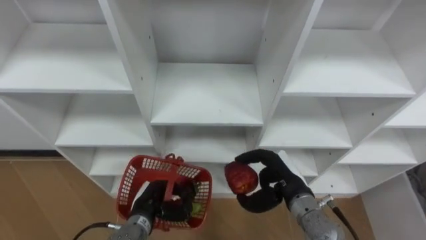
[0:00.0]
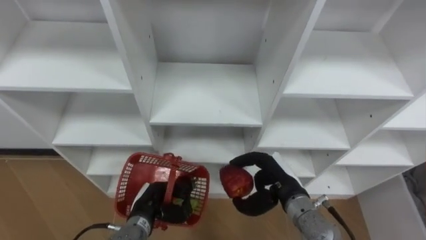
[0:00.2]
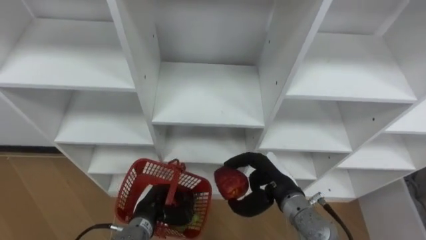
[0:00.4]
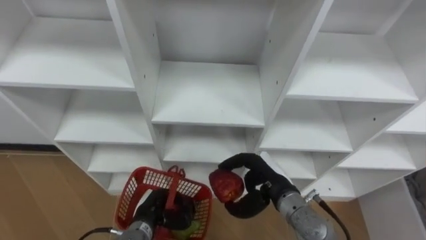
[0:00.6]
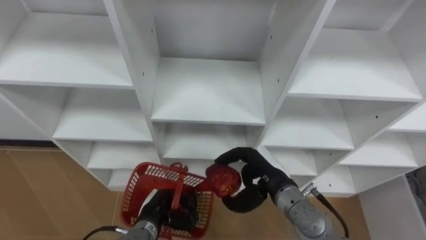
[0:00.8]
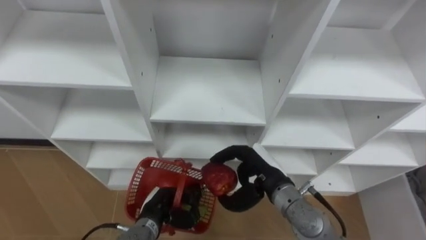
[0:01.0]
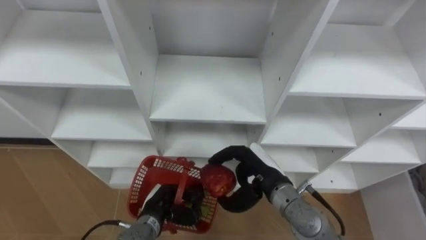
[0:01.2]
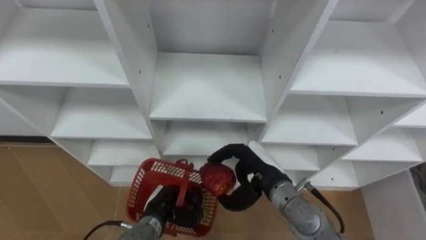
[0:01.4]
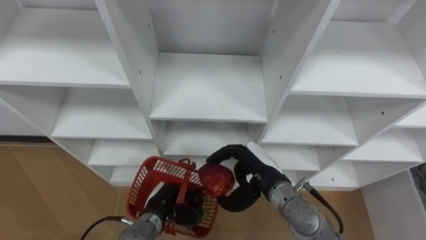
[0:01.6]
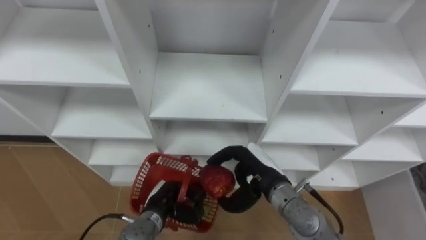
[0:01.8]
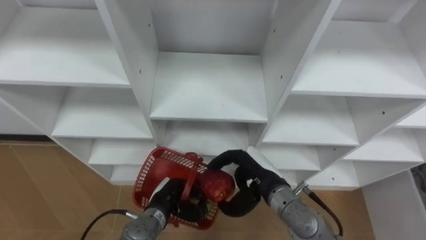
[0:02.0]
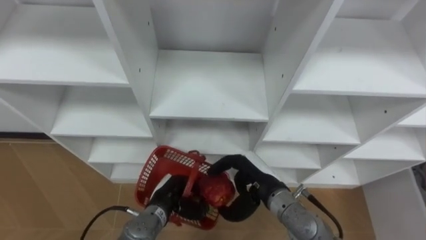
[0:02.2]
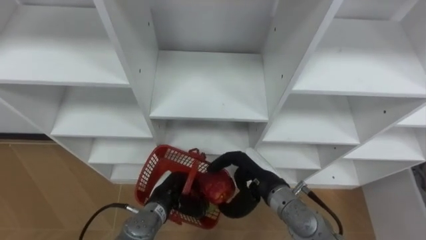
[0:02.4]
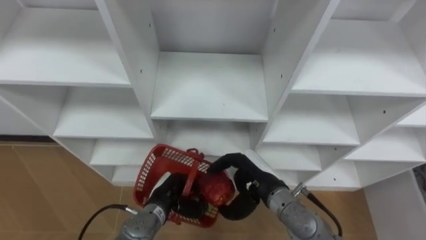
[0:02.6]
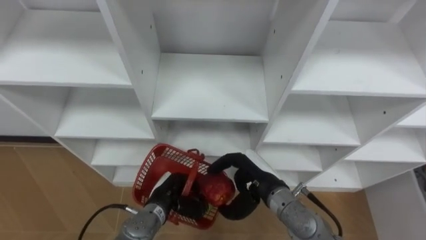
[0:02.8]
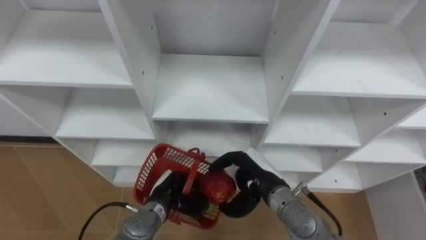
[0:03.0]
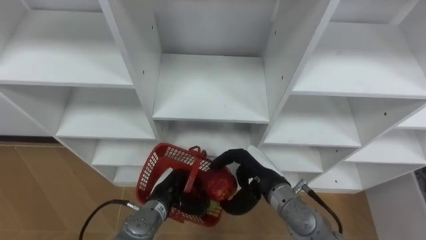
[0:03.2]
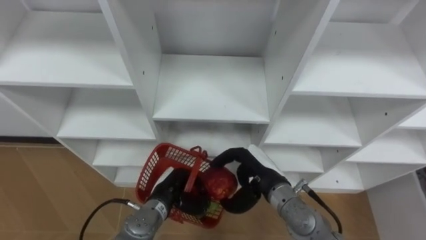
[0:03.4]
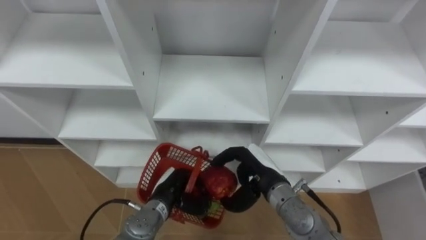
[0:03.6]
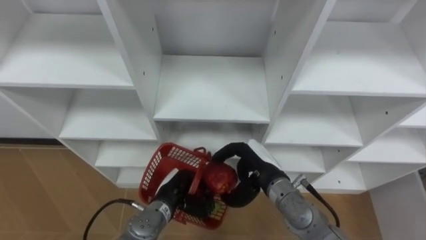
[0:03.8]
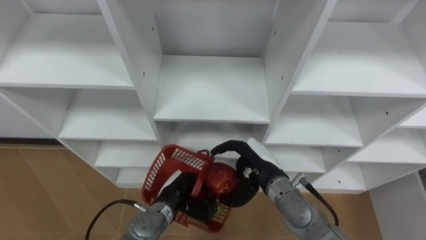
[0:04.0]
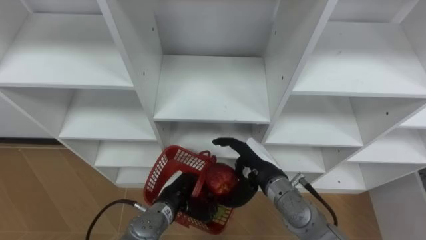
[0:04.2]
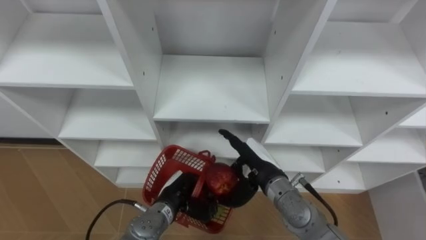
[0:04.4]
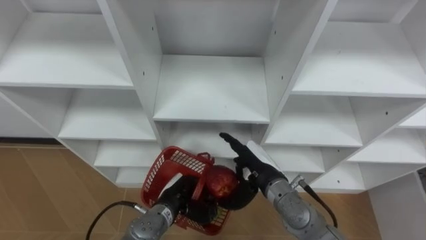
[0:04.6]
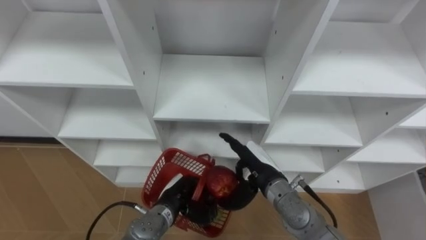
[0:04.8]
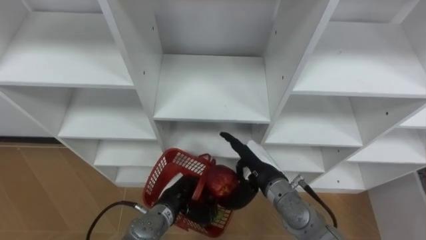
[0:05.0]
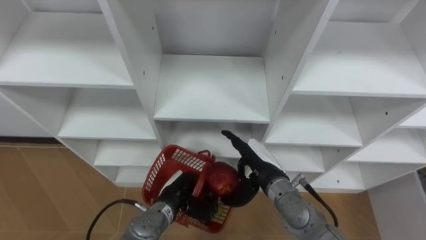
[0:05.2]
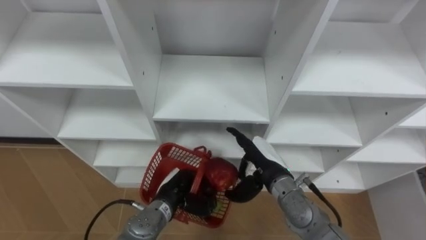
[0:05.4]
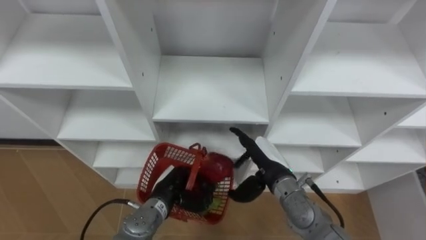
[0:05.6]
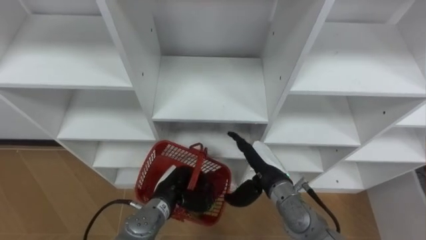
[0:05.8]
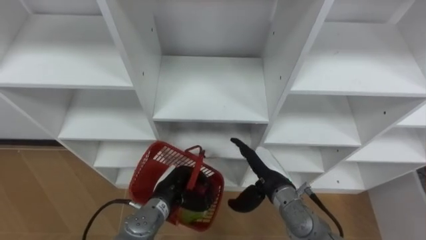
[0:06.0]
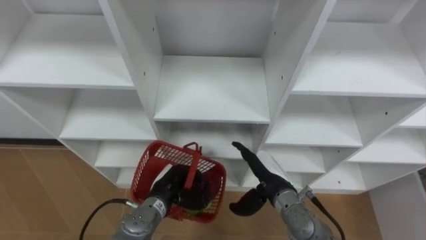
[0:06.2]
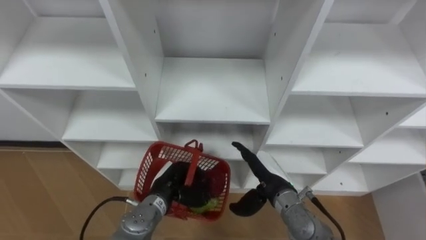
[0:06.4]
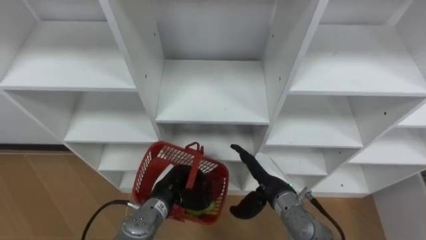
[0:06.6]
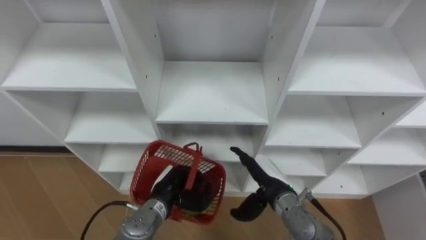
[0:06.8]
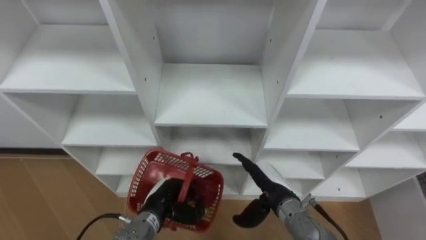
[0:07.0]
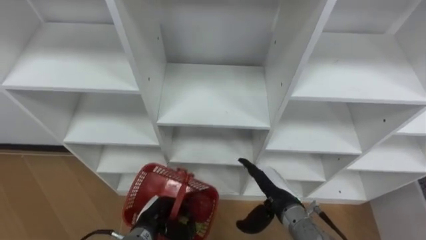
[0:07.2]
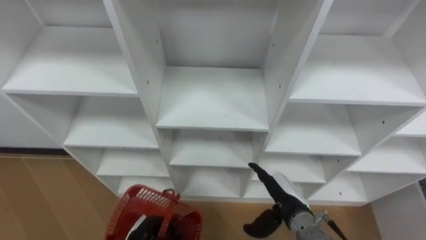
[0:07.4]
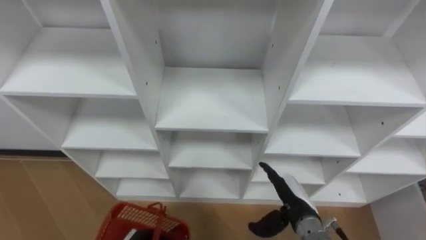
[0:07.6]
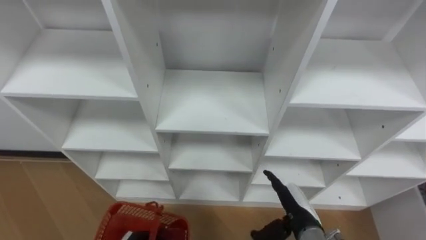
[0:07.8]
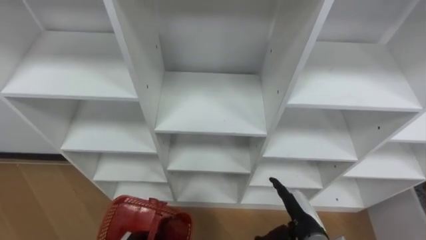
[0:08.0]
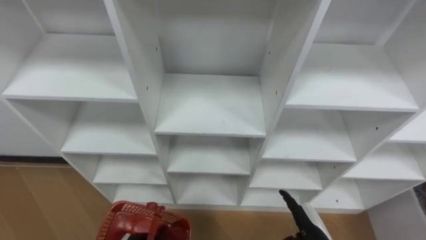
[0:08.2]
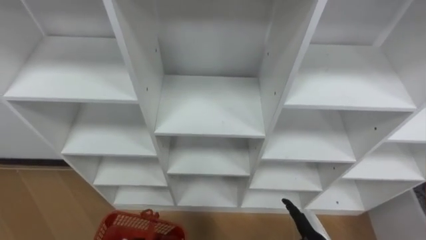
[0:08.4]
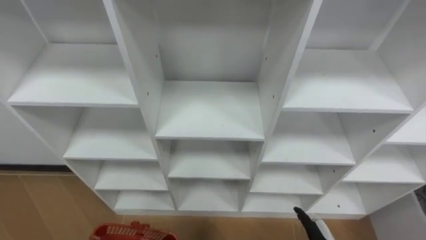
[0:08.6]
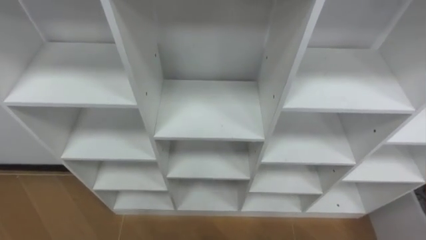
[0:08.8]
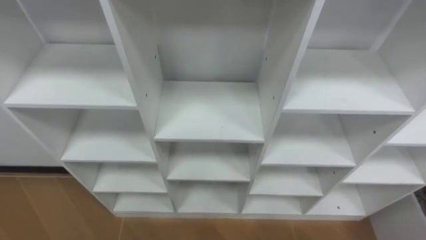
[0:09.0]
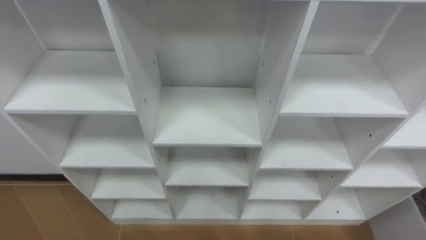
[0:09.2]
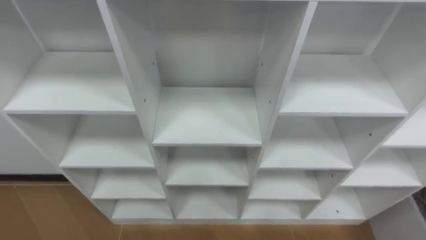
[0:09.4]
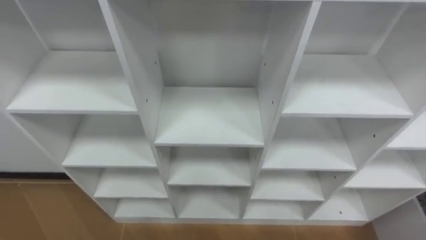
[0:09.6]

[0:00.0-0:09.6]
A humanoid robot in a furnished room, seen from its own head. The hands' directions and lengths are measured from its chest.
Task of the whole recording: Hold the basket and collect the fruits from 3 different cells of the closet into it.
0:00.0 to 0:01.6: The right hand heads to the left, covering approximately 5 cm.
0:01.6 to 0:03.2: The hands move only a little.
0:03.2 to 0:04.8: The right hand opens its fingers.
0:04.8 to 0:06.4: The hands make only small movements.
0:06.4 to 0:08.0: The right hand moves backward, to the right and downward, approximately 10 cm.

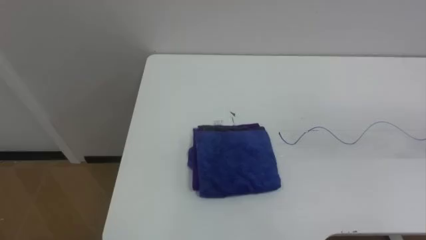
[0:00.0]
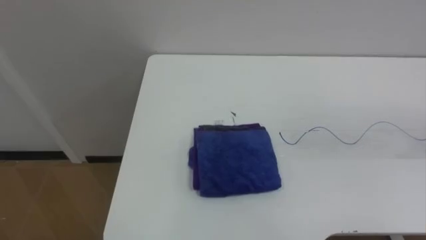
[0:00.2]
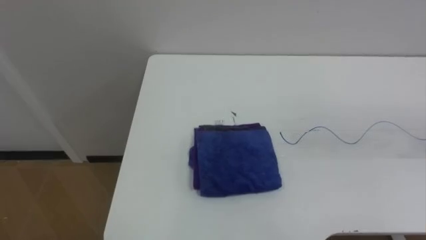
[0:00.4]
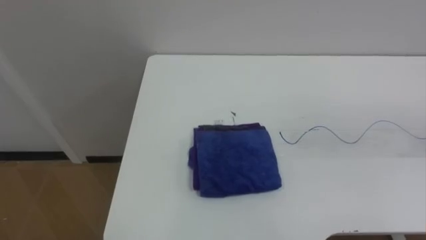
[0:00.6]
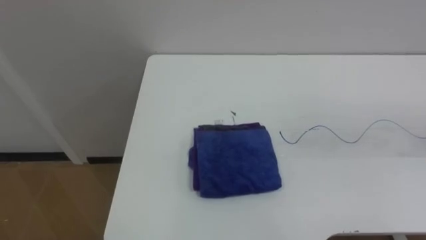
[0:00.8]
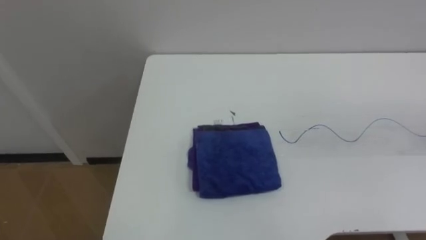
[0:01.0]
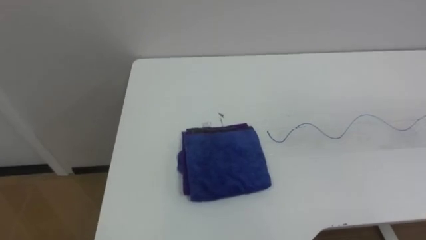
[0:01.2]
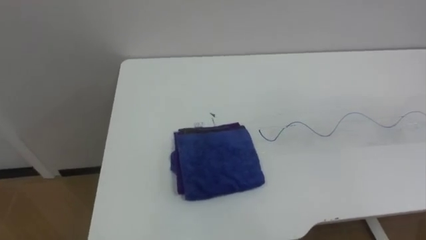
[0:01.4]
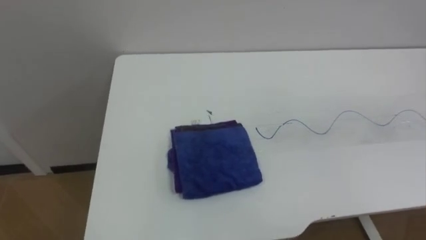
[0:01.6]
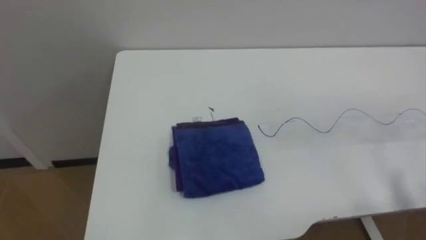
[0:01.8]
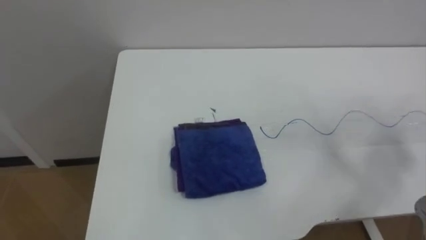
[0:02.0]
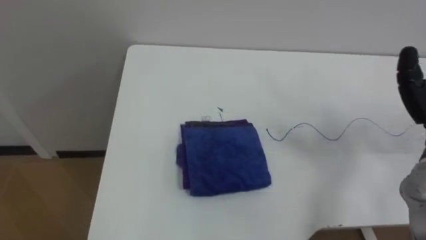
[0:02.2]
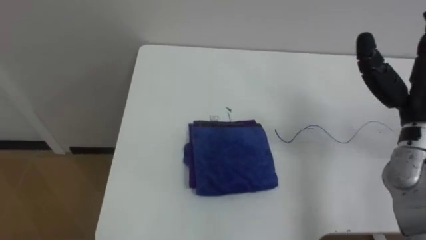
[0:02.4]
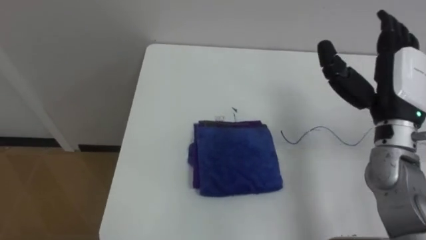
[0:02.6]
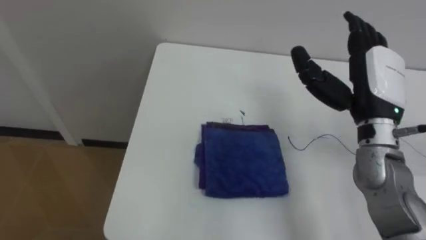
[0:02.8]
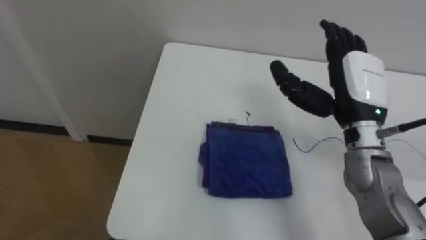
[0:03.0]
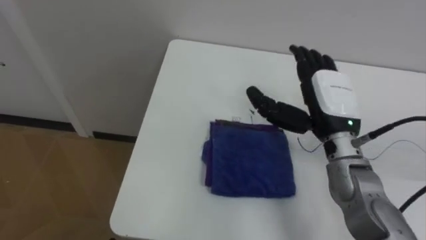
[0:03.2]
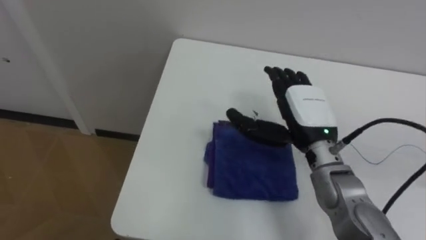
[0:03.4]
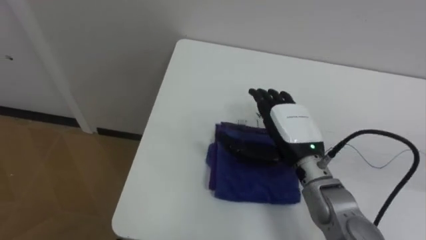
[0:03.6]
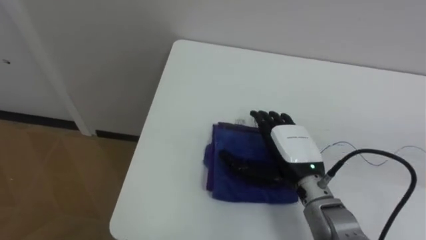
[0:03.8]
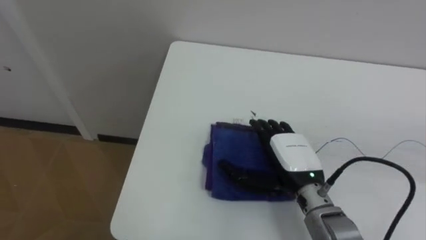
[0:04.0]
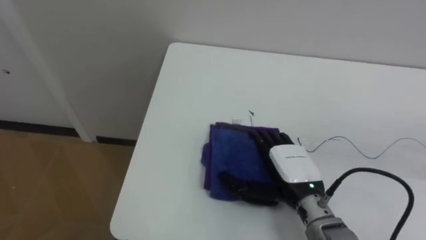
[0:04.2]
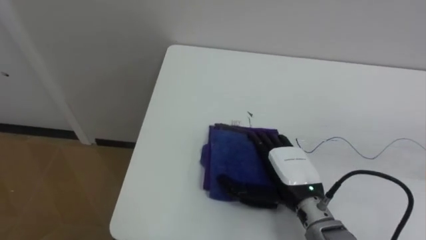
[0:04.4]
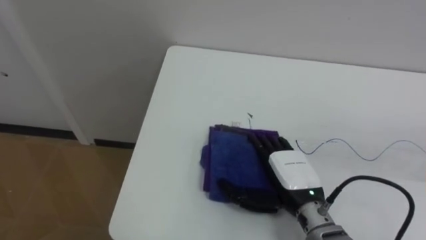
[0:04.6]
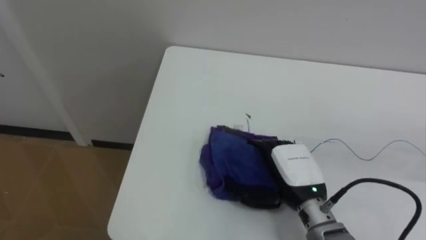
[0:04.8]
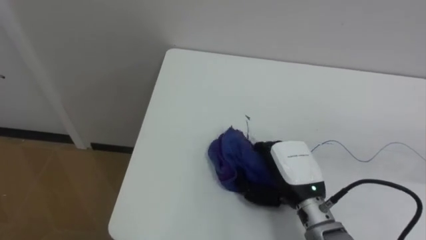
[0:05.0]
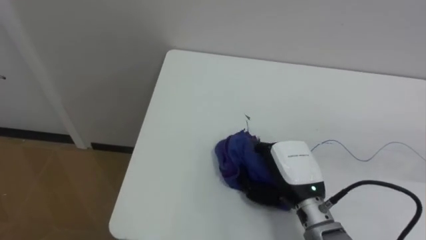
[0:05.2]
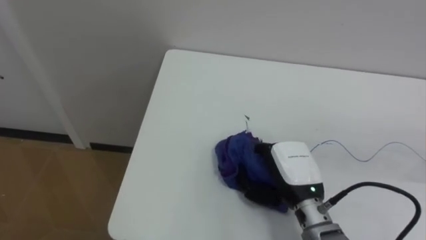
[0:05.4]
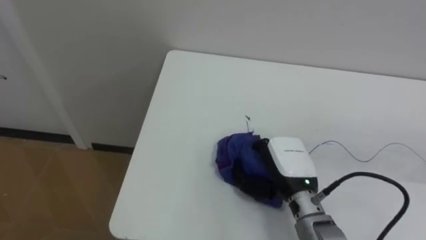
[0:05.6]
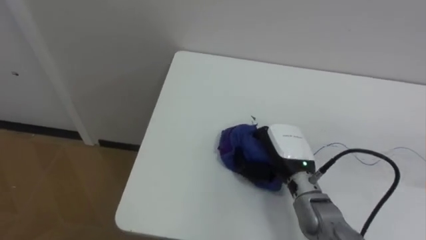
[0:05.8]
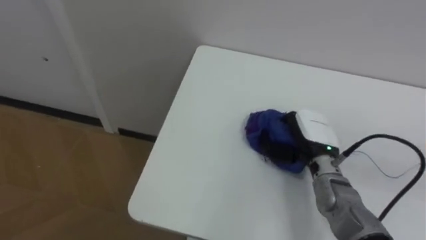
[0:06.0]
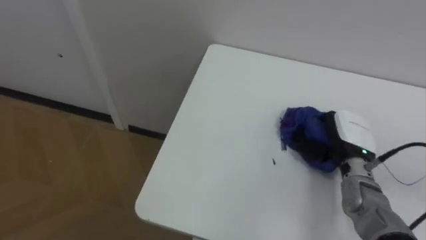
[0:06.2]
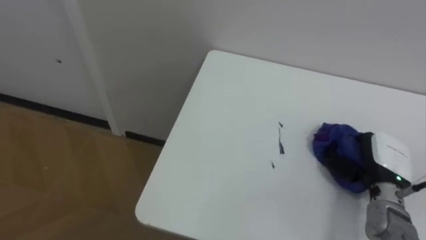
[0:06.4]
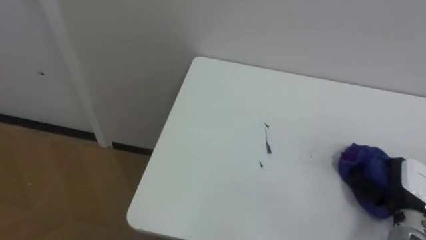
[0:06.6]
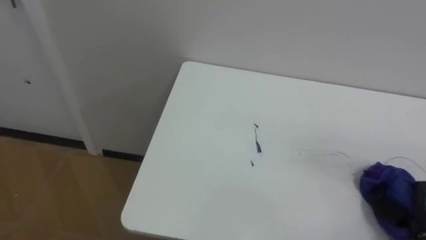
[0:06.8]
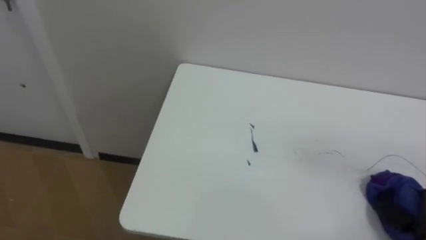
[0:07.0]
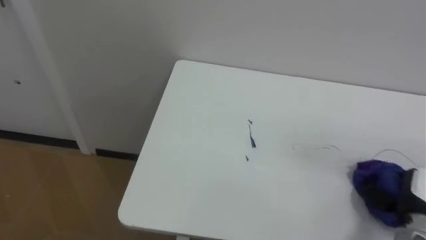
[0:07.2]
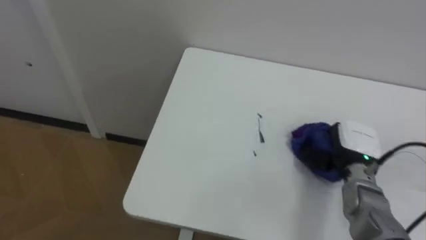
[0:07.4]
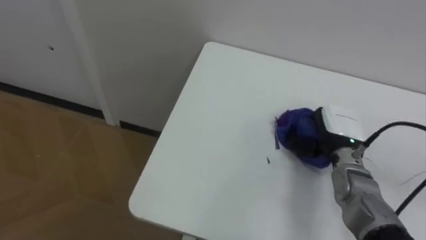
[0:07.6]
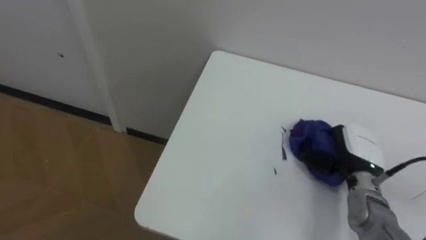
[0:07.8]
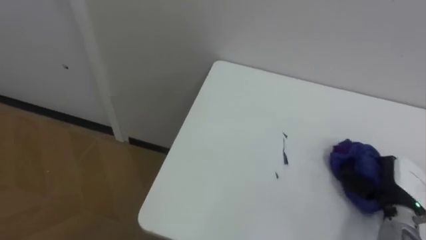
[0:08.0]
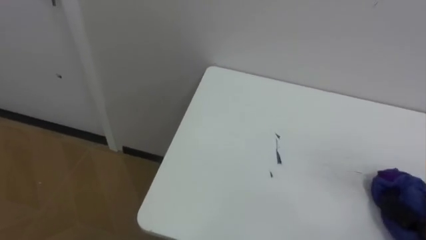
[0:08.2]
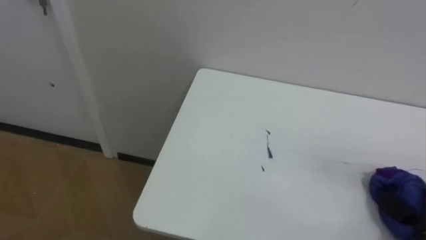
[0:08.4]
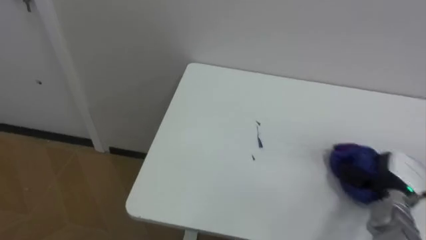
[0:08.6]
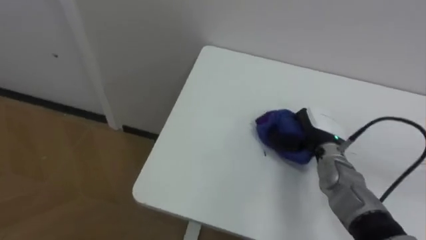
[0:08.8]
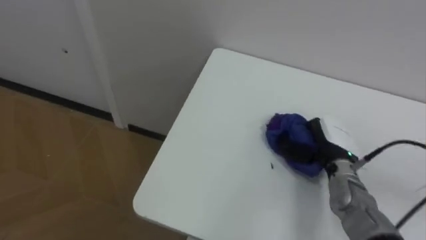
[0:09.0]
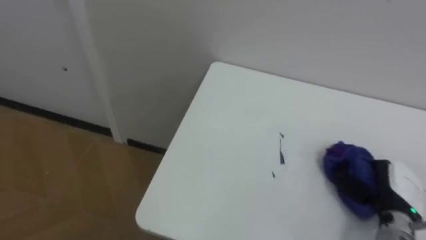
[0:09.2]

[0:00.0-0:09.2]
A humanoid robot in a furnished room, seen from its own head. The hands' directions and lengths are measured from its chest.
Task of the whole recording: Wipe the blue pen marks off the table with the rag.
0:03.0 to 0:04.6: The right hand moves downward, to the left and backward, roughly 20 cm.
0:04.6 to 0:06.2: The right hand shifts some 15 cm to the right and forward, and closes up.
